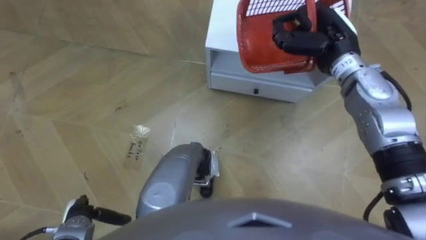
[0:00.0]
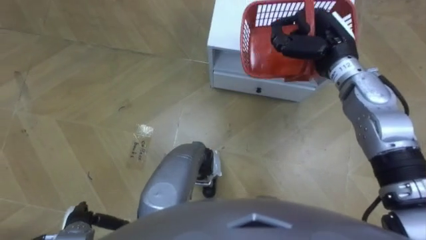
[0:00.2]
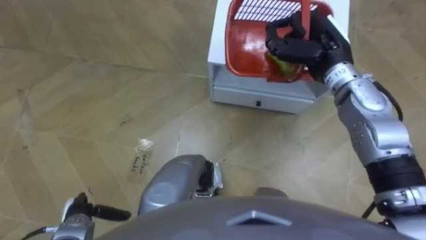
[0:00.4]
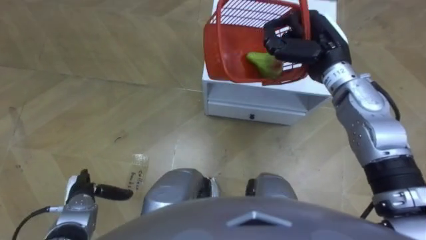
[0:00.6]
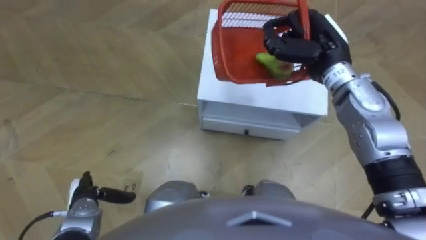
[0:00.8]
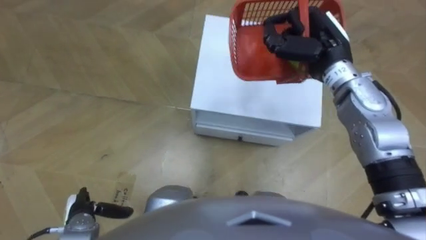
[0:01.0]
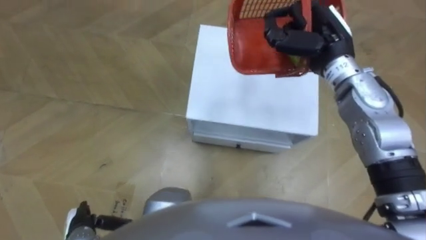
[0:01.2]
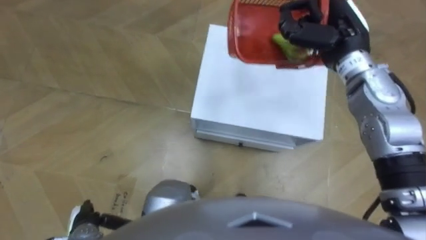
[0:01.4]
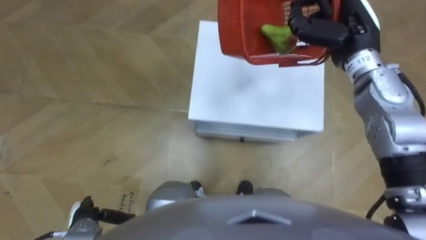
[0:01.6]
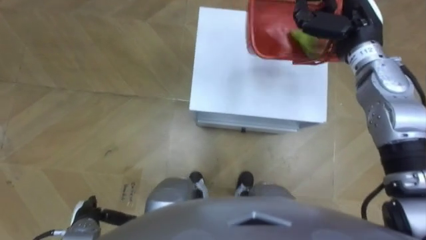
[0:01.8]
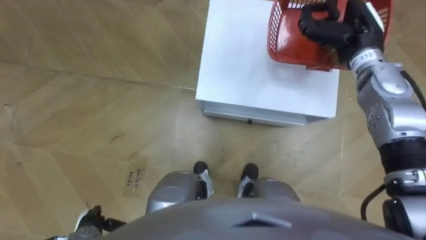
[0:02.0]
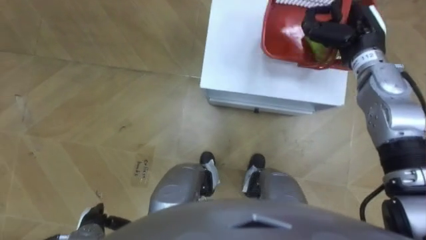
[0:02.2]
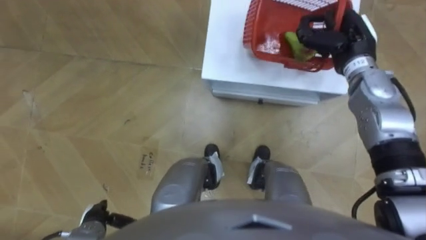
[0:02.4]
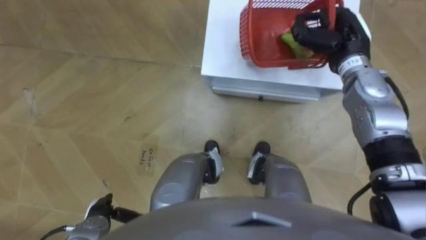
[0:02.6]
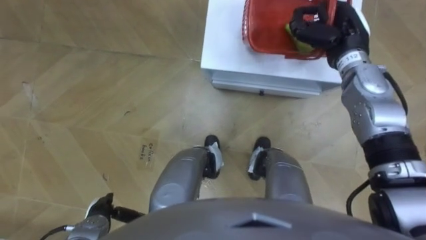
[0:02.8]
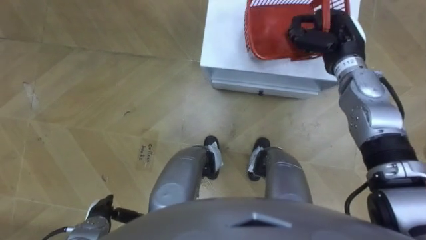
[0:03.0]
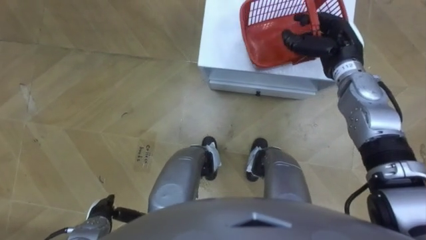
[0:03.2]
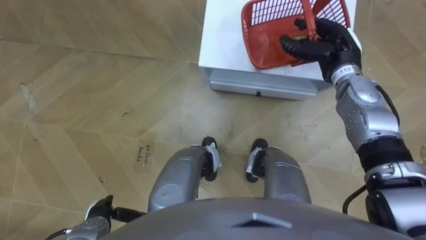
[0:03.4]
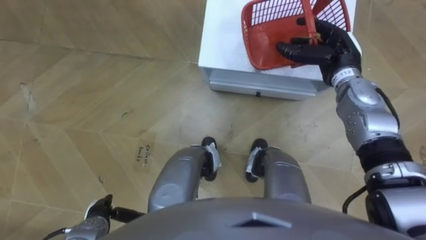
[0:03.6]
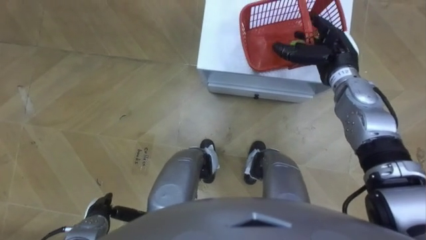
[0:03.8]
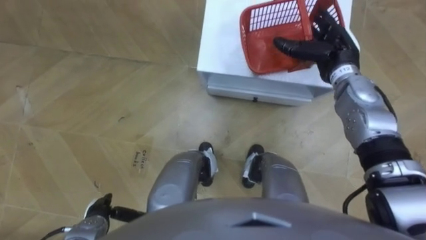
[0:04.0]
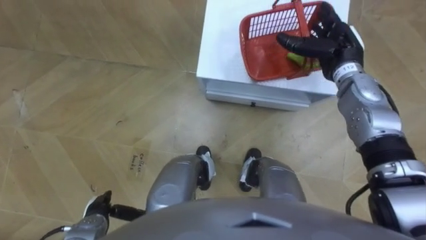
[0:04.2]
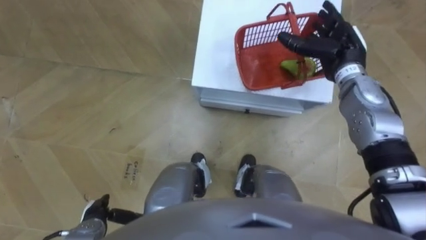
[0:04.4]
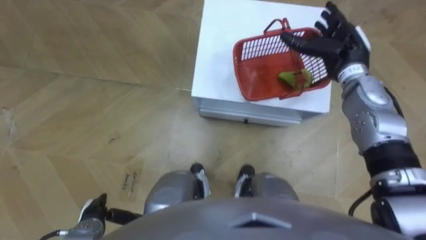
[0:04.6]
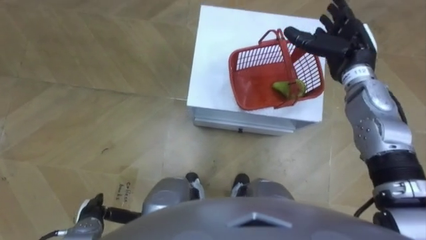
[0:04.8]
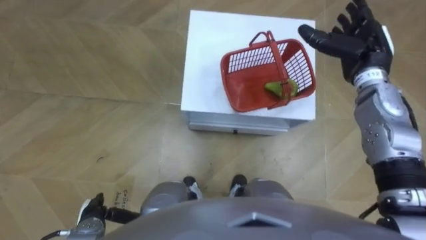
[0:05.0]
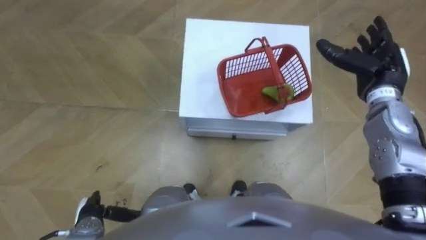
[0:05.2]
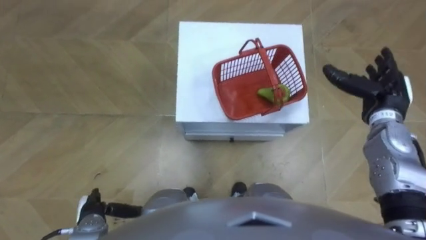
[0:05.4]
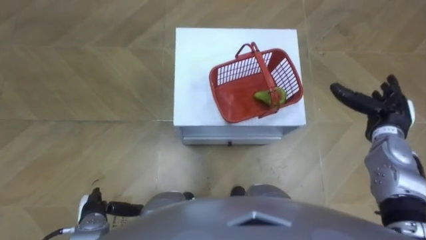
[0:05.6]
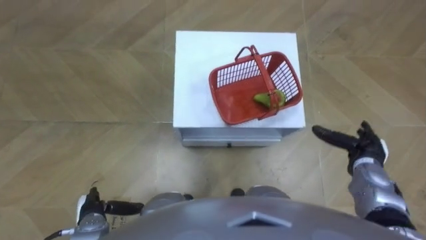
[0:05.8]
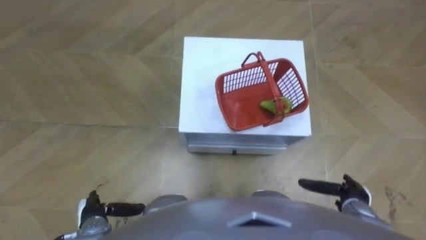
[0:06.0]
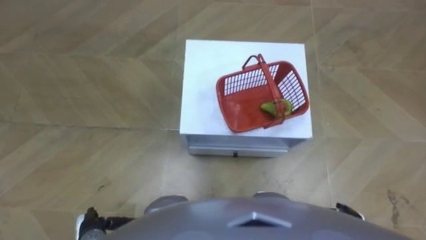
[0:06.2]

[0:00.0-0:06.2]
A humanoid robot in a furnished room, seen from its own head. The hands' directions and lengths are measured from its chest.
Task of the whole recording: Pick up the fruit basket from the floor and place it on the cabinet.
0:01.6 to 0:03.2: The right hand goes roughly 5 cm downward.
0:03.2 to 0:04.6: The right hand opens its fingers.
0:04.6 to 0:06.2: The right hand is displaced backward and downward by approximately 40 cm.

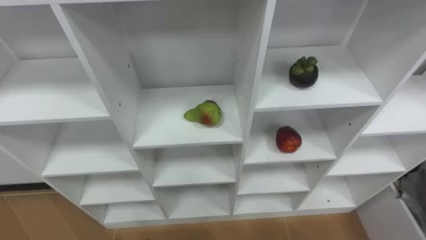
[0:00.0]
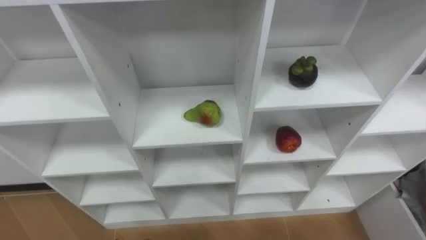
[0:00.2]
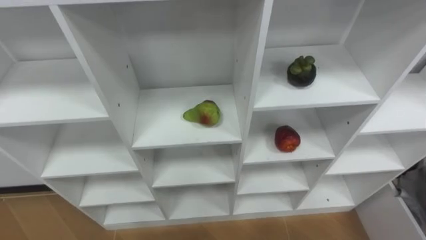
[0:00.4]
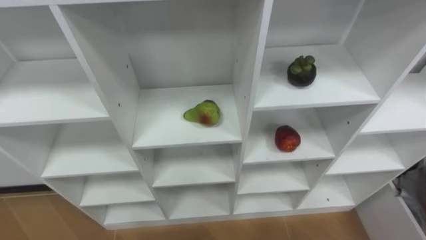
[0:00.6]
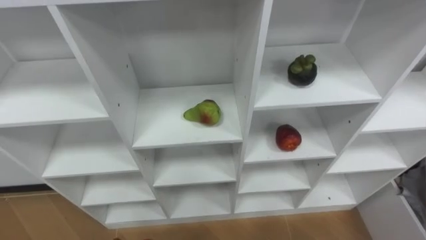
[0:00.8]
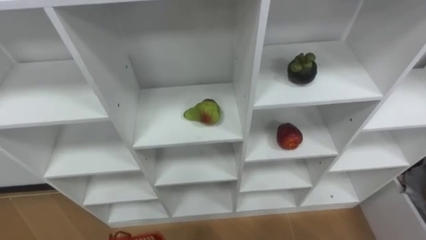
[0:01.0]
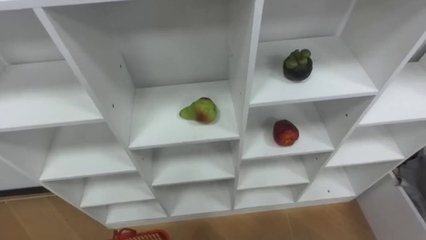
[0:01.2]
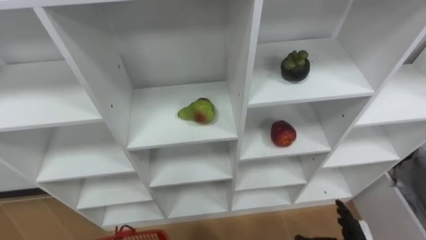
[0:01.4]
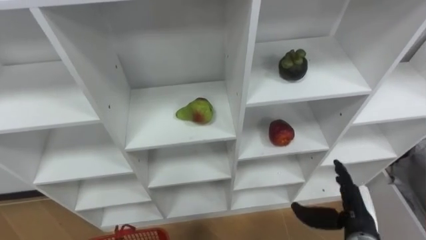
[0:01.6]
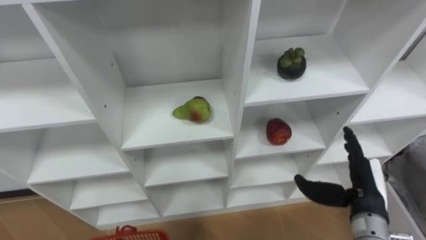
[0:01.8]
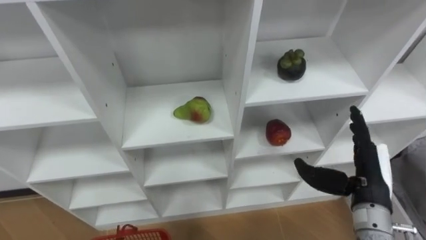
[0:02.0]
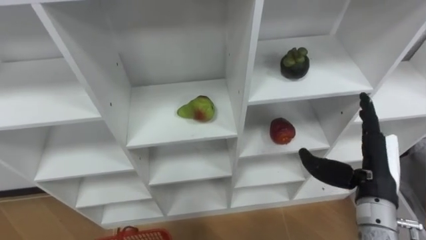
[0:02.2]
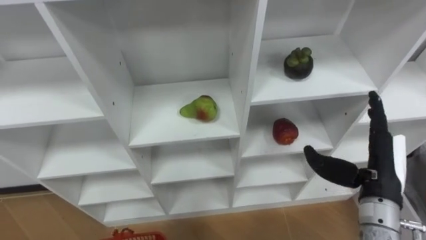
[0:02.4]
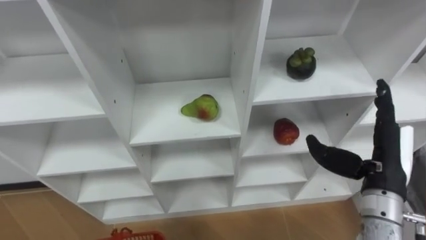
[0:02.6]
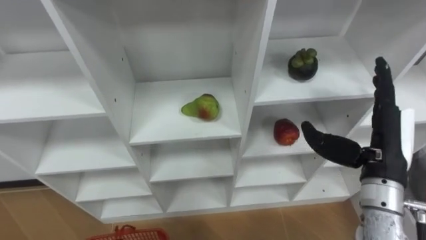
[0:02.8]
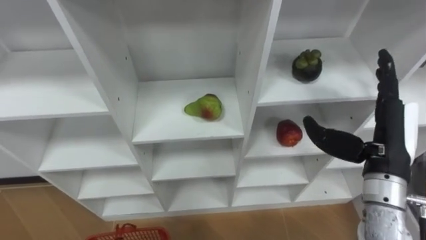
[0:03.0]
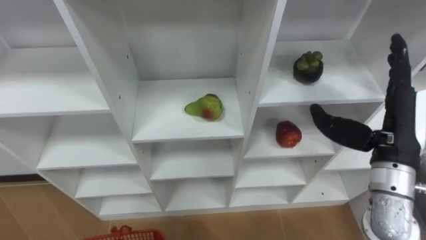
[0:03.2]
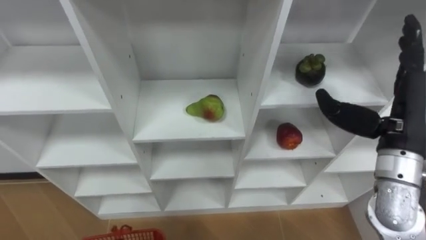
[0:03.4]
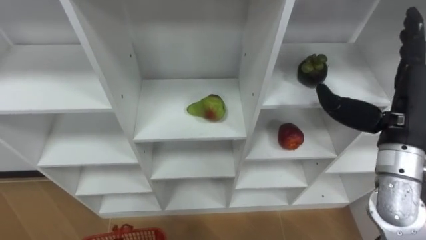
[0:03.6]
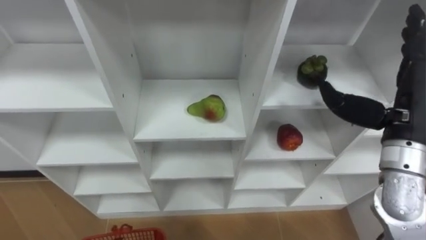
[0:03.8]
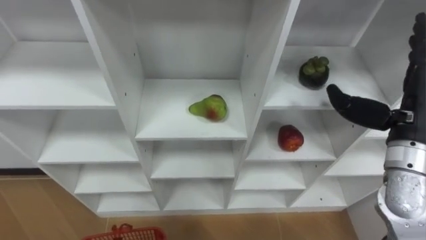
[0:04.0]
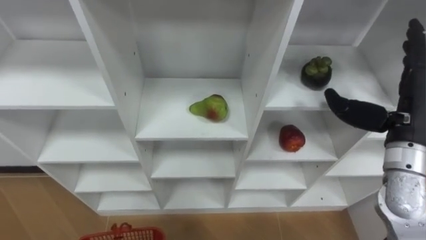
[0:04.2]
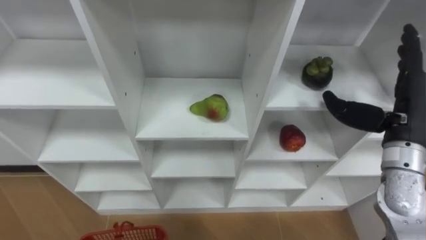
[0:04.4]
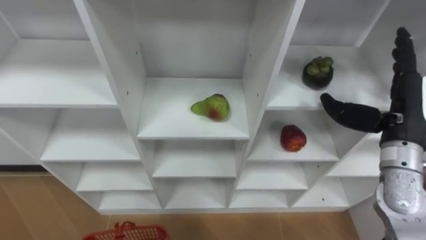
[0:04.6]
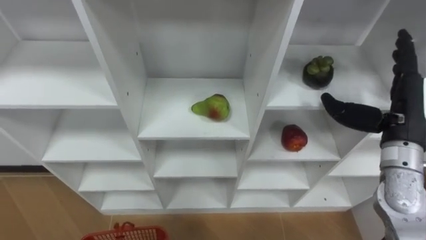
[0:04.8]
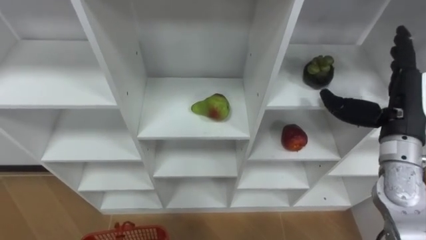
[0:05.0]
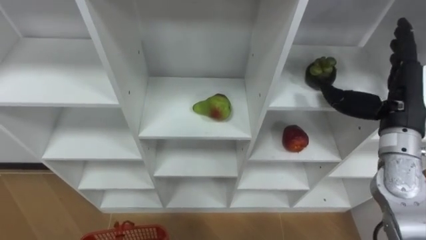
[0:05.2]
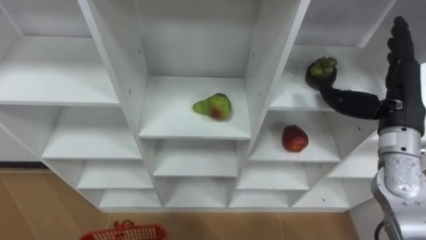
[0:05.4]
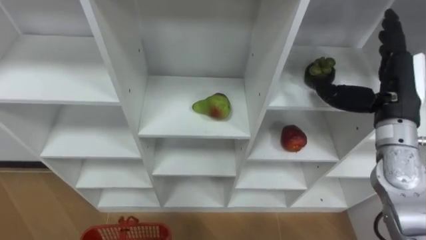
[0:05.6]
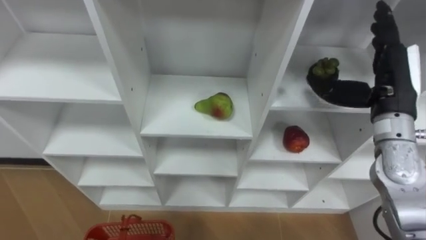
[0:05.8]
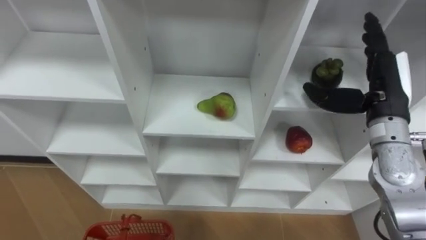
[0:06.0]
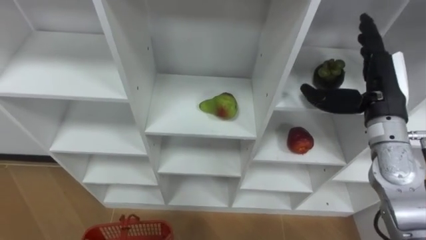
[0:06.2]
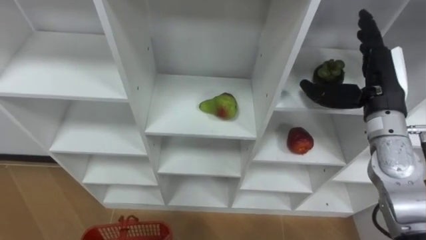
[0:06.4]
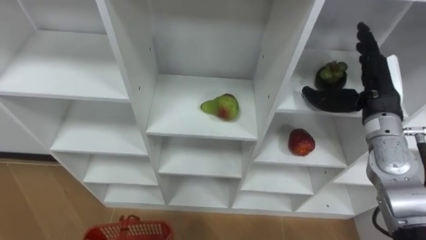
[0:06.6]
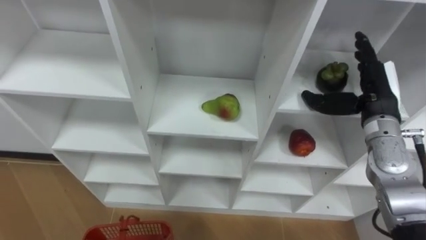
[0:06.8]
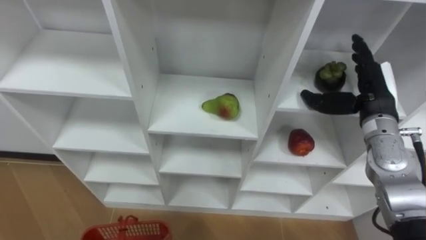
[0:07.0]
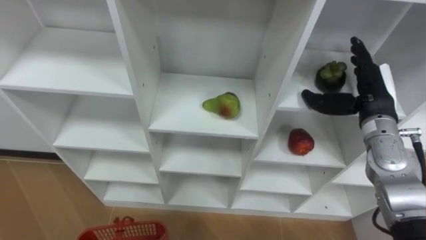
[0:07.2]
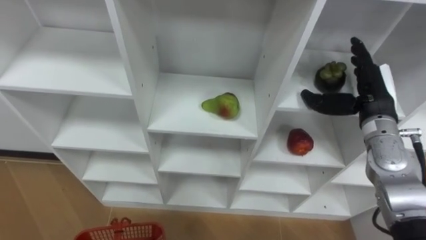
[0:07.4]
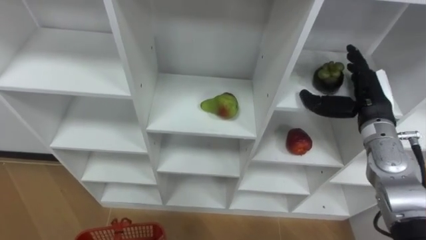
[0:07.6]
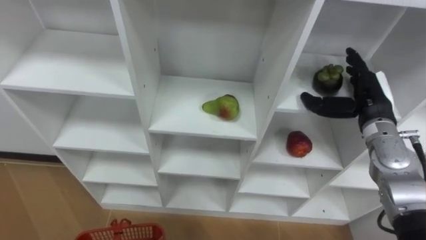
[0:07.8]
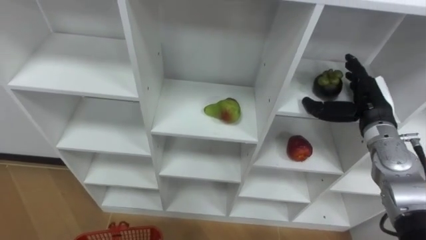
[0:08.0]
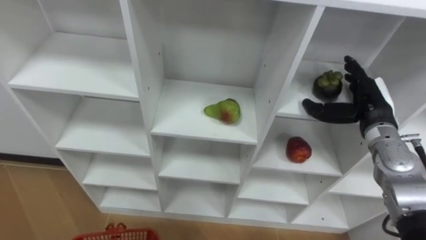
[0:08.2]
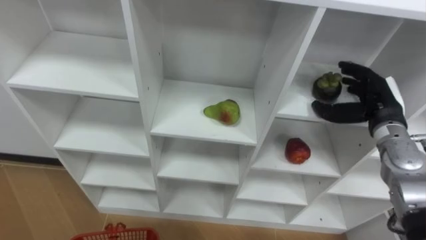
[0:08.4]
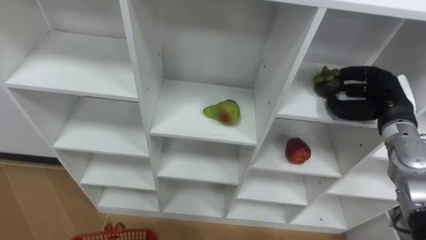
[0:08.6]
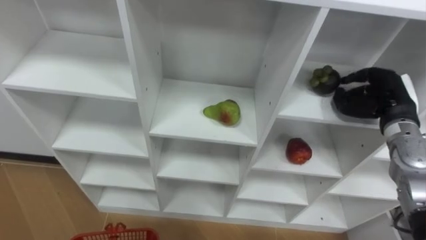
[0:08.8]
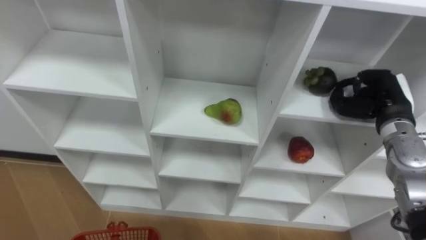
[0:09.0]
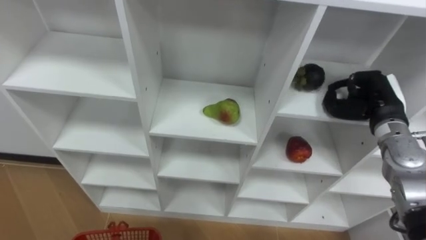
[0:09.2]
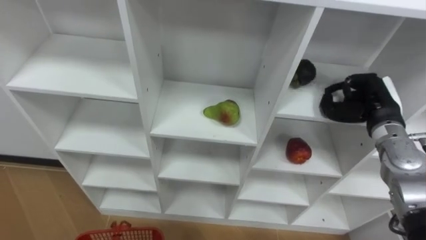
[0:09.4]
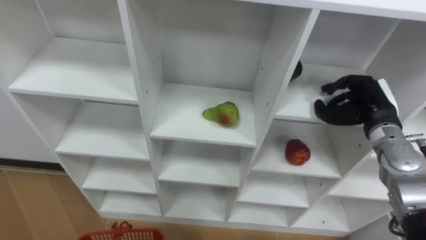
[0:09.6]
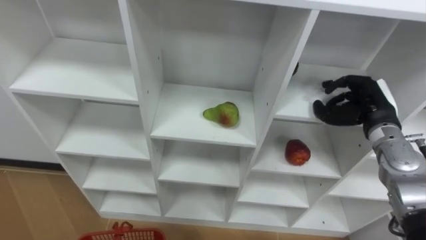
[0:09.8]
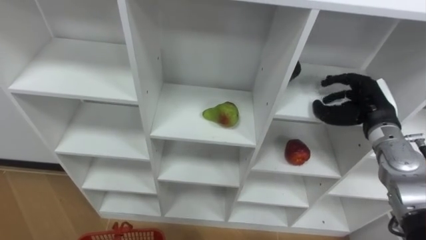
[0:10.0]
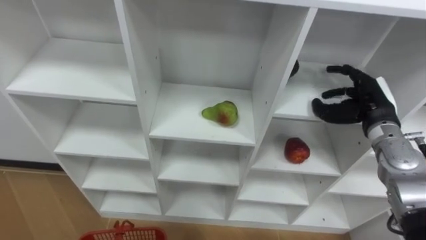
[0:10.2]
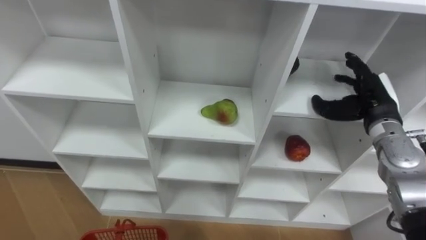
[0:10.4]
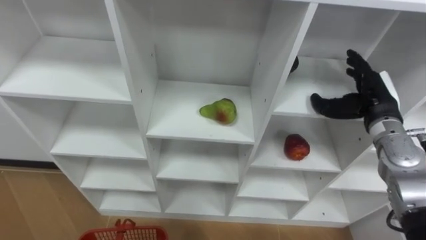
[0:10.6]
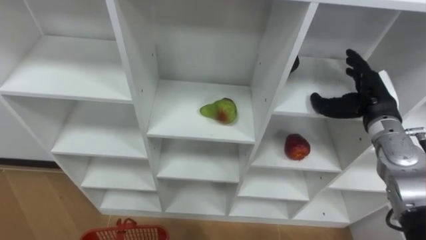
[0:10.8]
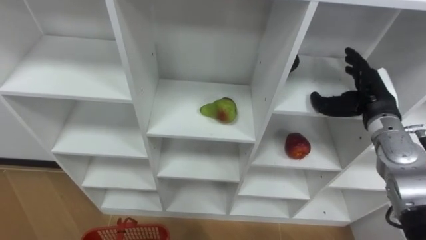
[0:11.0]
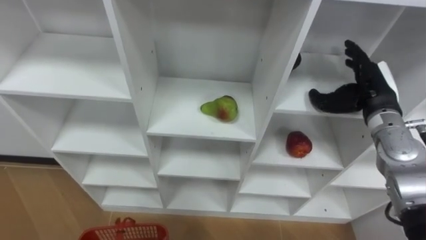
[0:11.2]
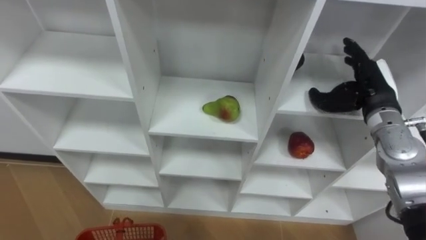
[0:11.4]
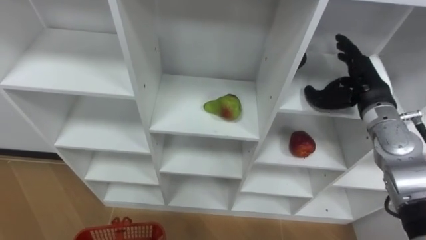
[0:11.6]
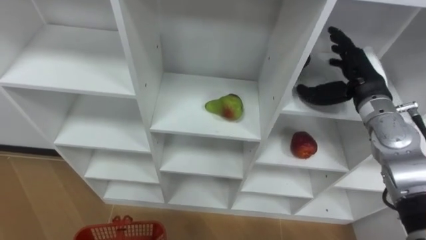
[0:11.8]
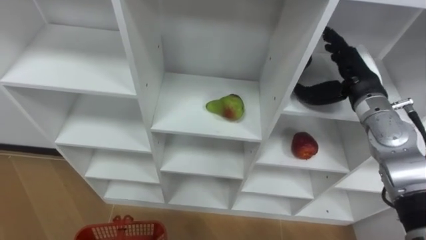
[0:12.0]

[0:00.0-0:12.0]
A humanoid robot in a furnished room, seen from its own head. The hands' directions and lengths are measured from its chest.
Task of the whole recording: Hold the basket and collect the fruits from 3 different cells of the closet into it.
0:01.6 to 0:03.0: The right hand heads upward, covering some 20 cm.
0:03.0 to 0:04.4: The right hand ends up approximately 5 cm from where it was.
0:06.0 to 0:07.6: The right hand goes about 5 cm downward.
0:07.6 to 0:09.0: The right hand closes its fingers.
0:09.0 to 0:10.4: The right hand opens its fingers.
0:10.4 to 0:12.0: The right hand moves approximately 5 cm.
